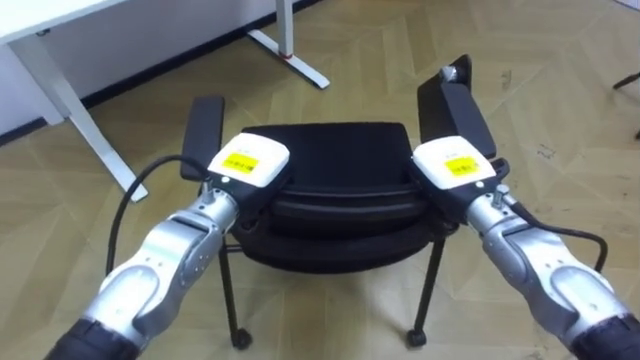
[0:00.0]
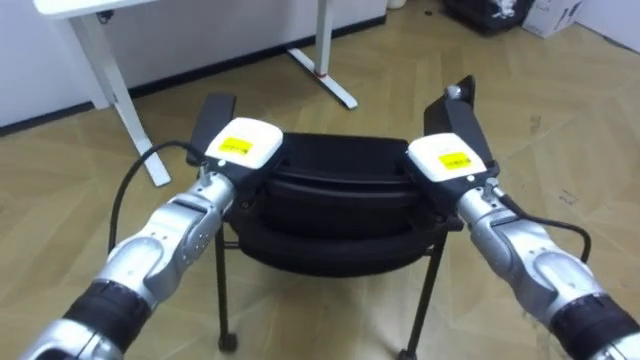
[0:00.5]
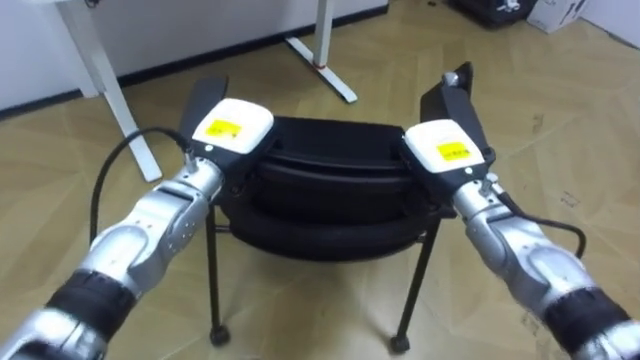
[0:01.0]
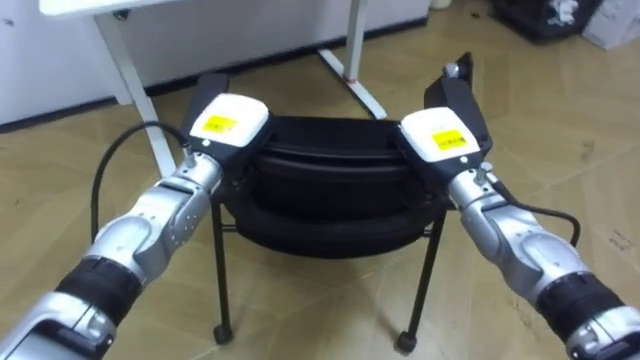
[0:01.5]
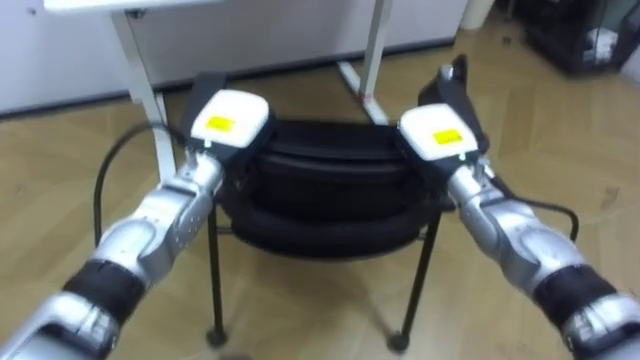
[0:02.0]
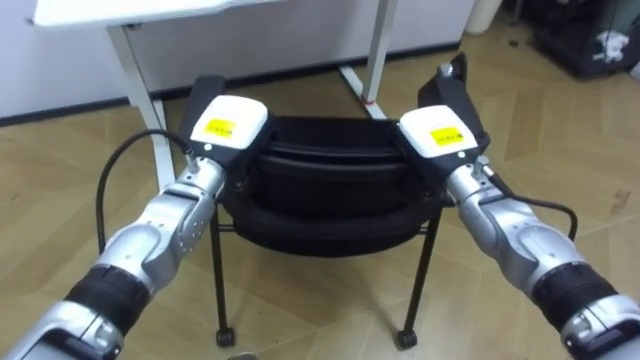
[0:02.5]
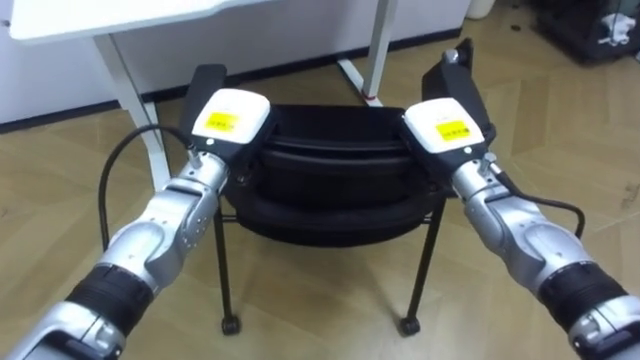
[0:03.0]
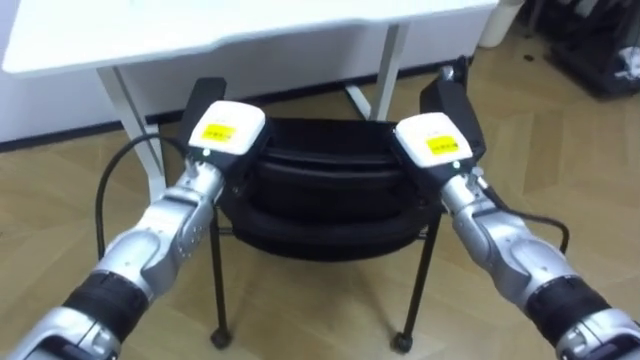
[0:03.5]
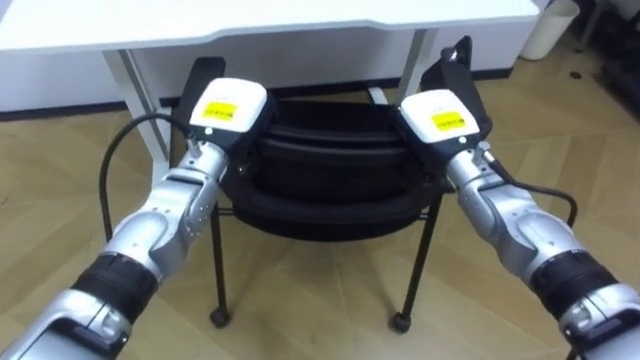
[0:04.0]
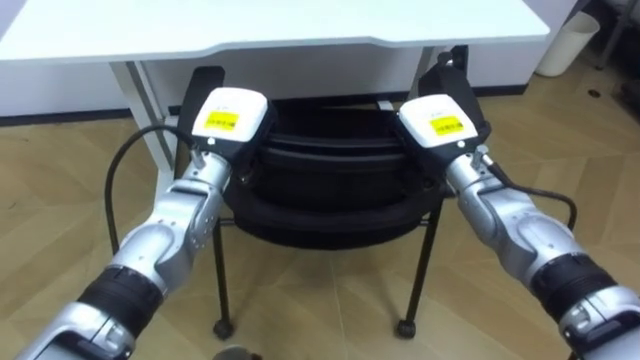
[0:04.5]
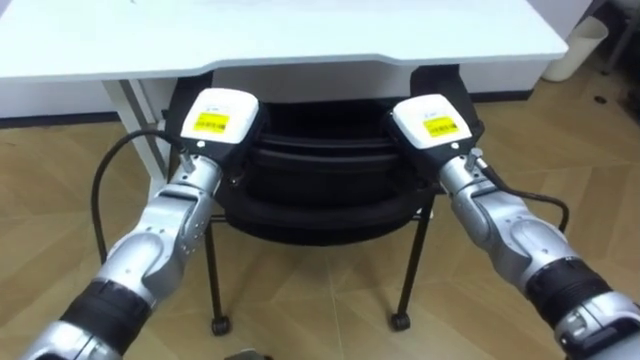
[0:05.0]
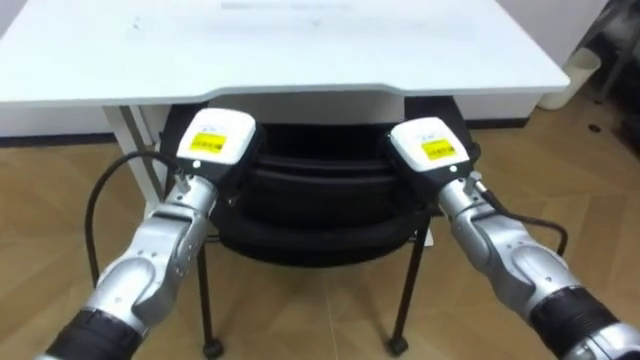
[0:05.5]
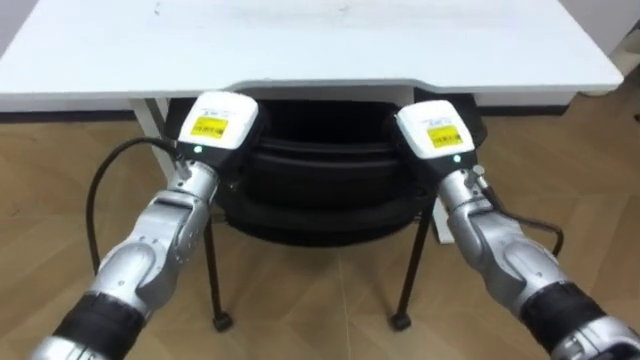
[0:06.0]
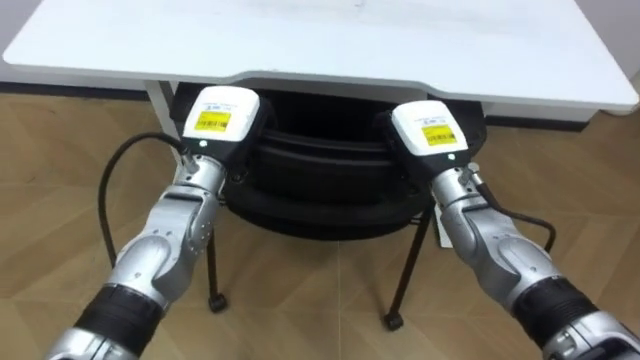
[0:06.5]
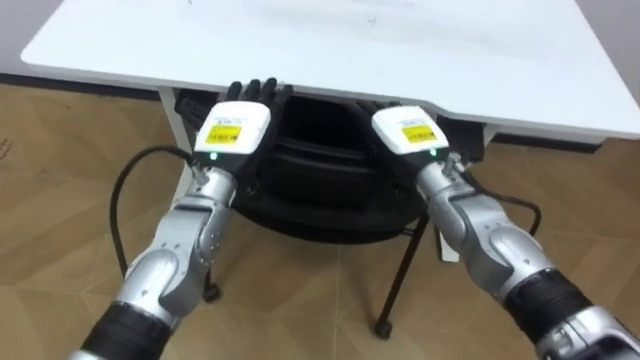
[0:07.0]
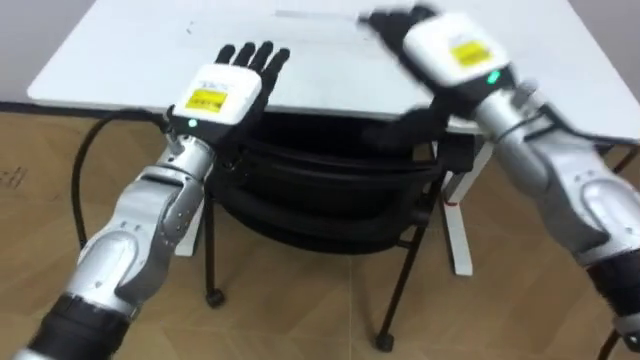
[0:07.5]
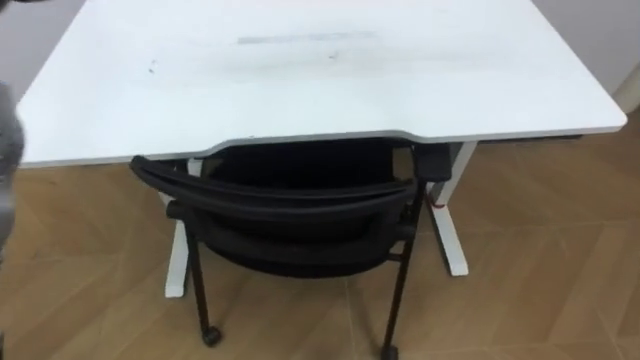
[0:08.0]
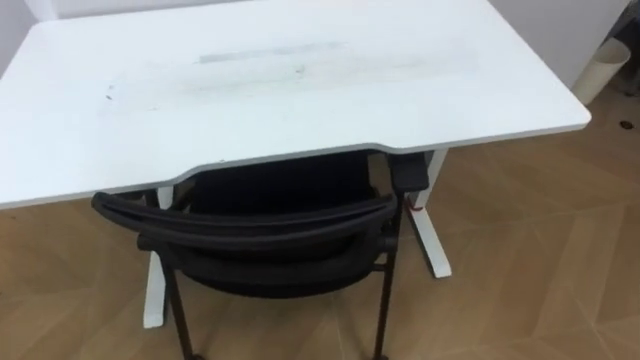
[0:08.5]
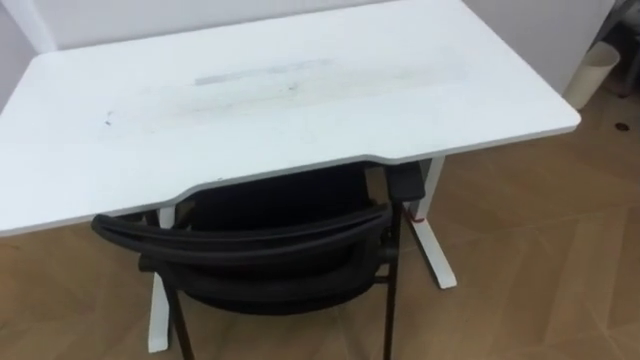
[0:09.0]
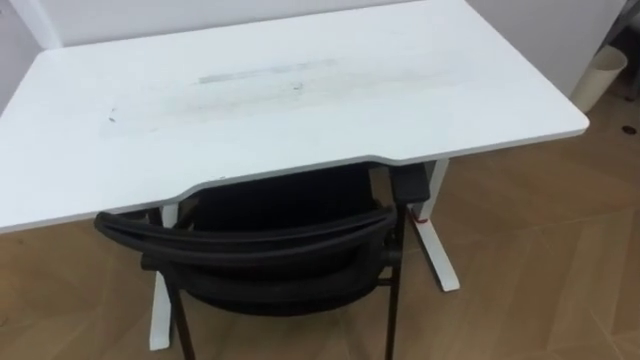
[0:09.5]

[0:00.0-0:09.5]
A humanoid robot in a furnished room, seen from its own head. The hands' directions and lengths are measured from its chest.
Task of the whole recording: Push the chair under the table.
0:00.0 to 0:02.0: The left hand shifts roughly 5 cm forward.
0:05.5 to 0:07.5: The left hand moves upward, about 5 cm, and opens, while the right hand travels upward by about 15 cm, and opens its fingers.

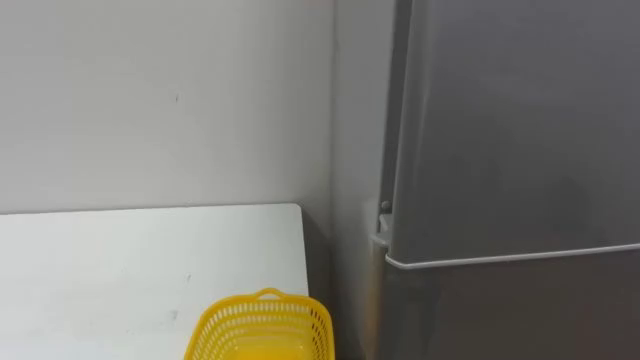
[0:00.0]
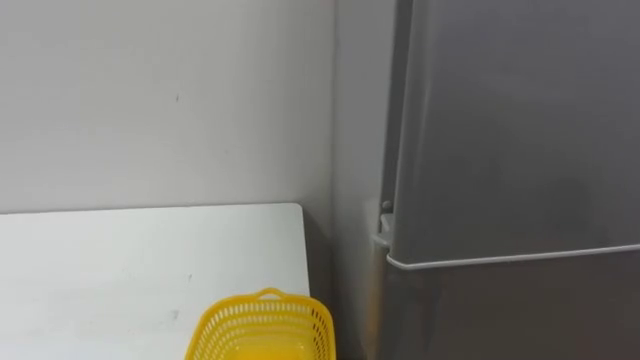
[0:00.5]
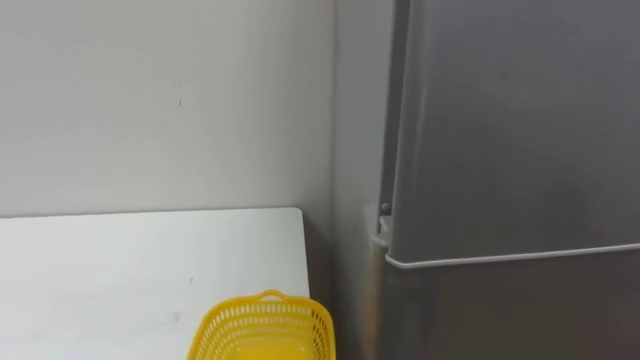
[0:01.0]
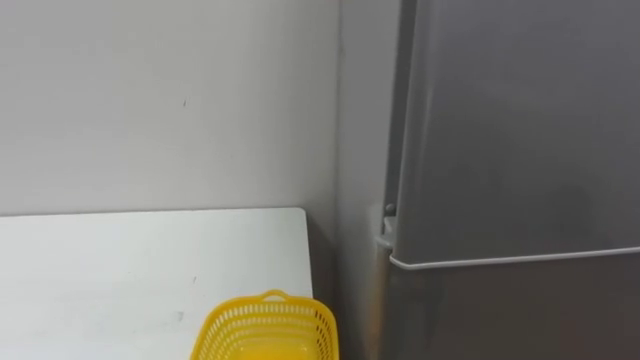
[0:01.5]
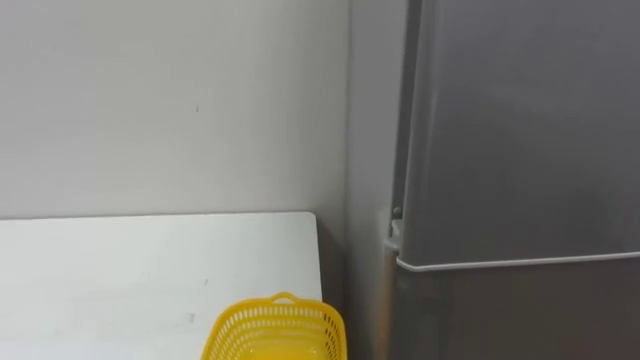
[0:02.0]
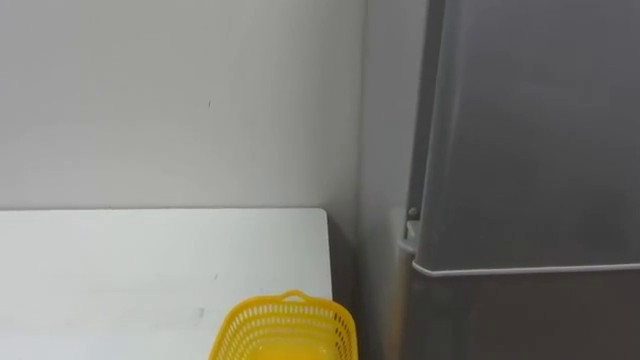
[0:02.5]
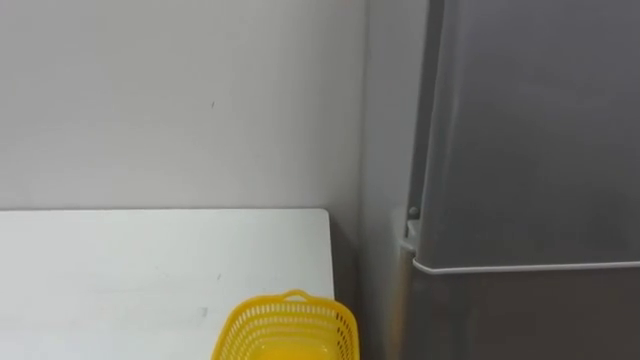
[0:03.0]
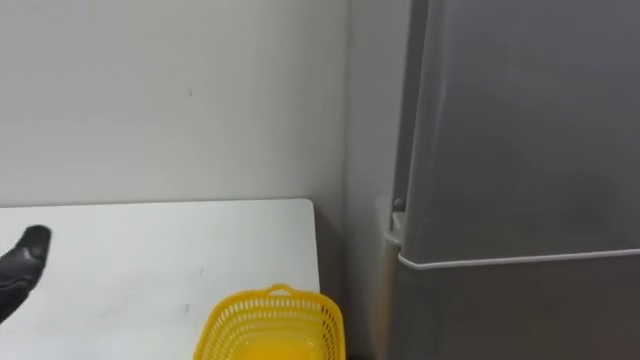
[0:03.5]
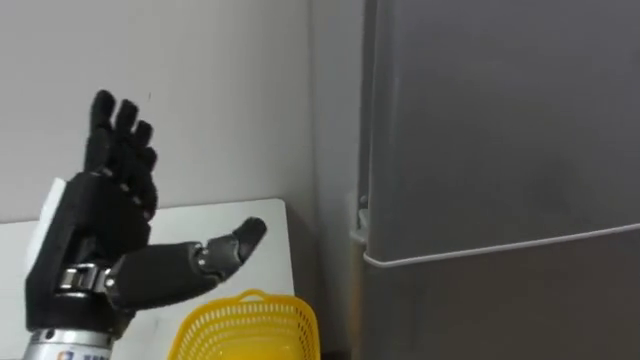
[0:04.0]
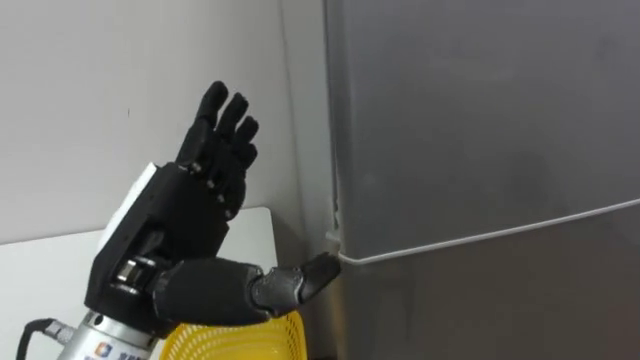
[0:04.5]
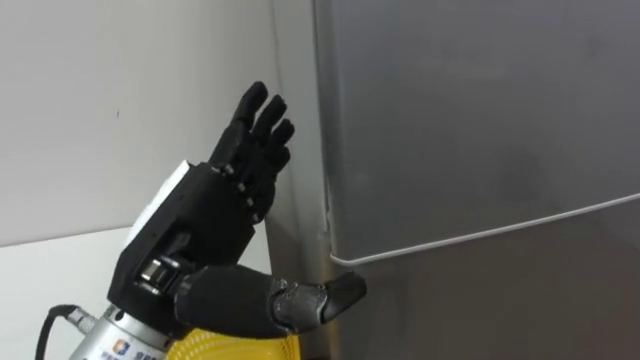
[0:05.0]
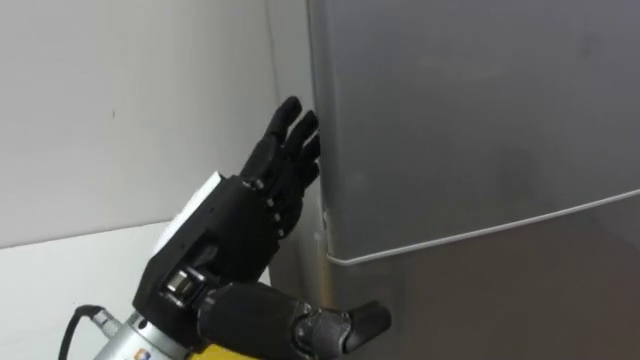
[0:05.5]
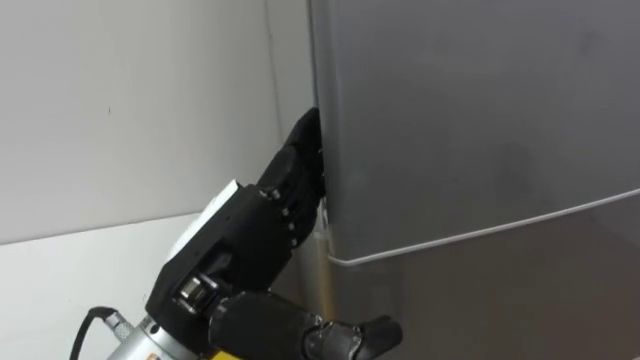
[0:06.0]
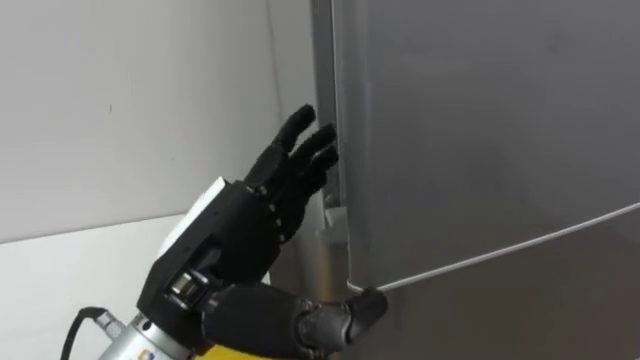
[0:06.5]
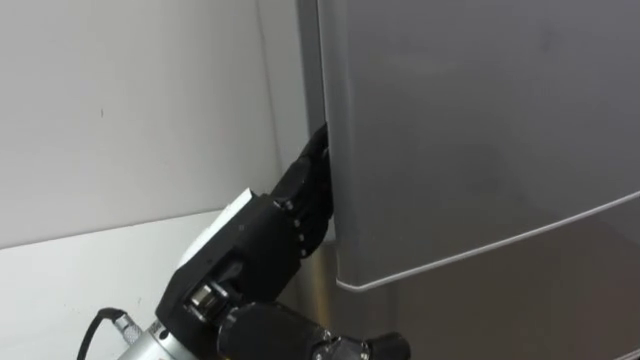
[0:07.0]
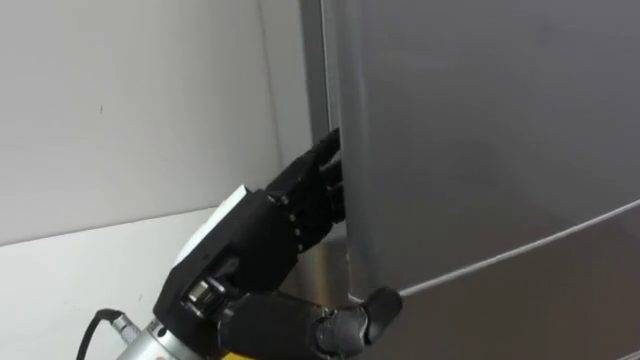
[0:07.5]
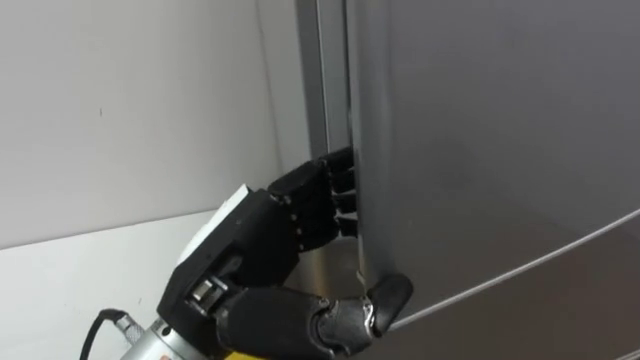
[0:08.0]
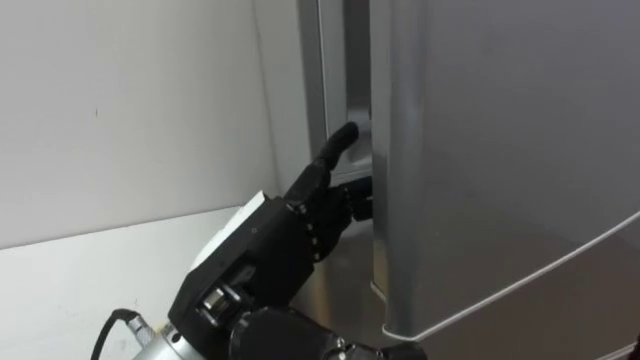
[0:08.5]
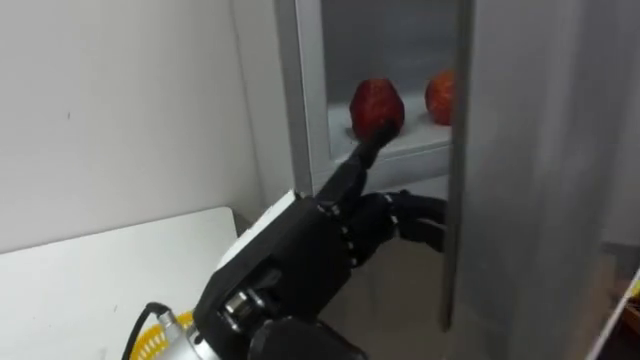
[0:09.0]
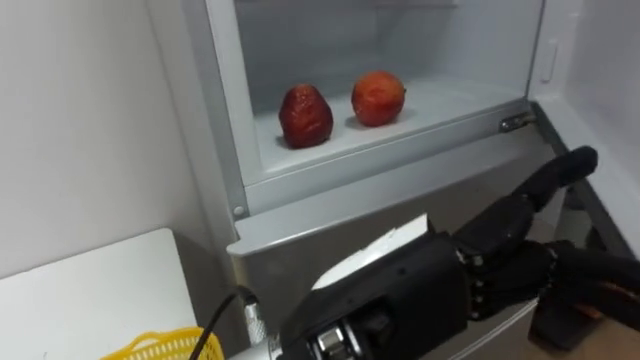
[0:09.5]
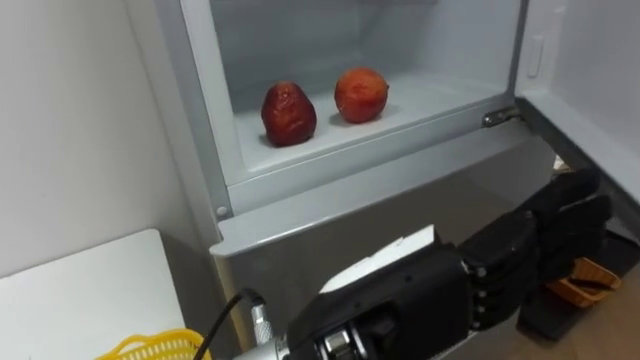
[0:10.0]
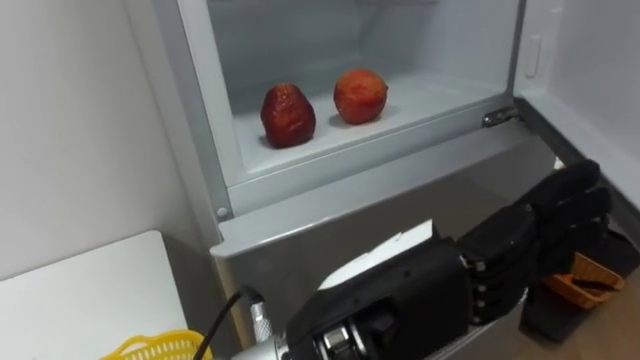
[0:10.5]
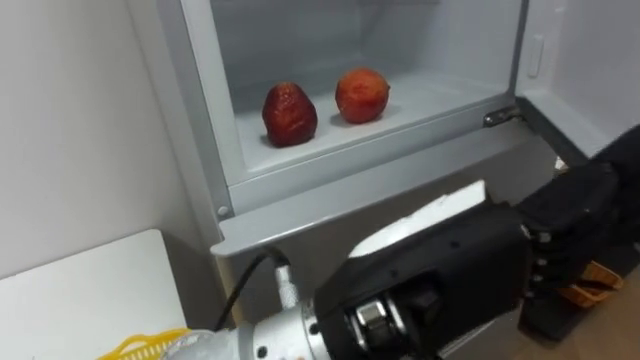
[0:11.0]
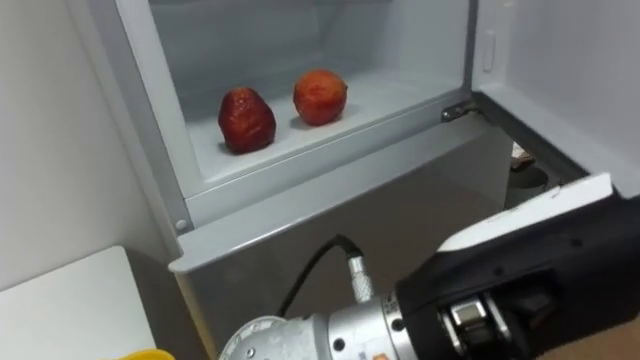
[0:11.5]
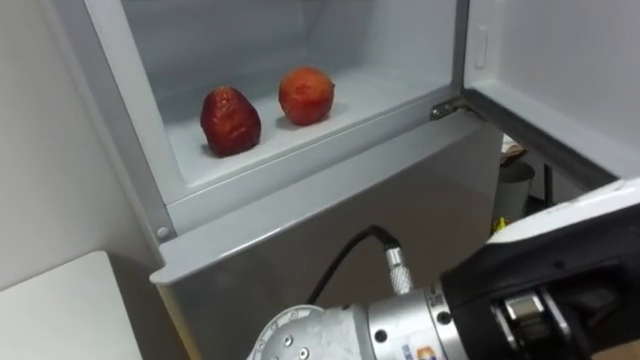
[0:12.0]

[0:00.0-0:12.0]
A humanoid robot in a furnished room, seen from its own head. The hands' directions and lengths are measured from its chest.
Task of the whole recording: Open the refrigerator door, take out the apple and the pomegranate, place them in the fruit basket on the left, and close the refrigerator door.
0:04.0 to 0:06.0: The left hand goes roughly 10 cm to the right.
0:06.0 to 0:08.0: The left hand closes.
0:08.0 to 0:10.0: The left hand goes approximately 10 cm to the right and backward, and opens.
0:10.0 to 0:12.0: The left hand heads to the right and upward, covering about 10 cm.
